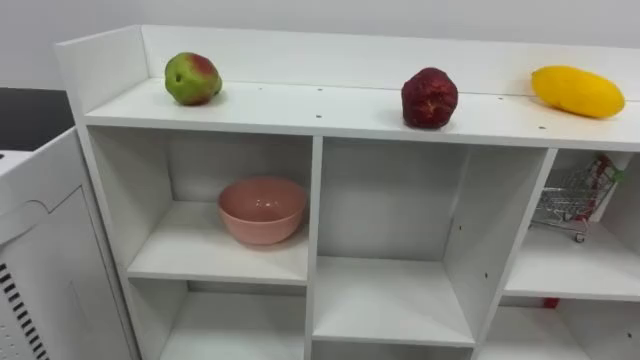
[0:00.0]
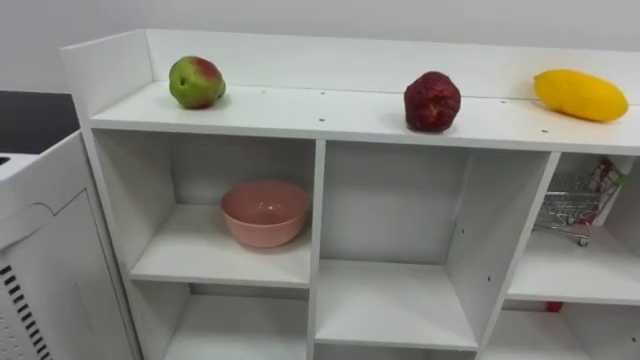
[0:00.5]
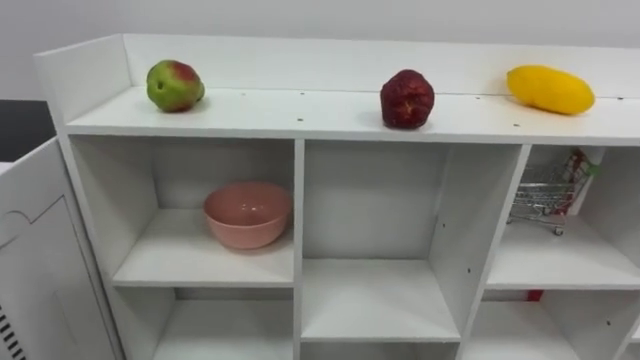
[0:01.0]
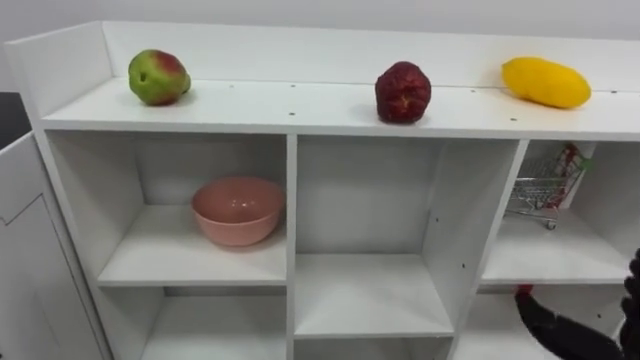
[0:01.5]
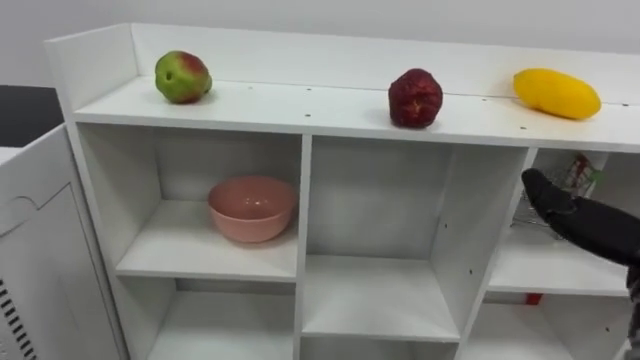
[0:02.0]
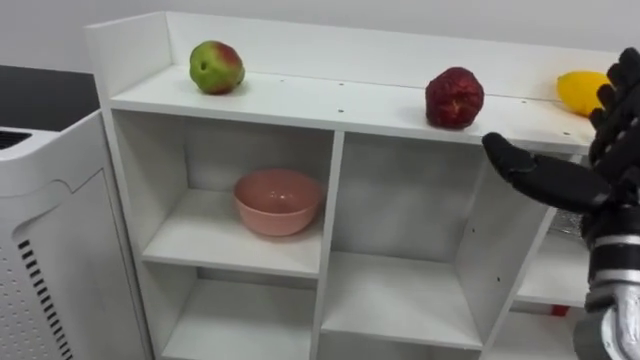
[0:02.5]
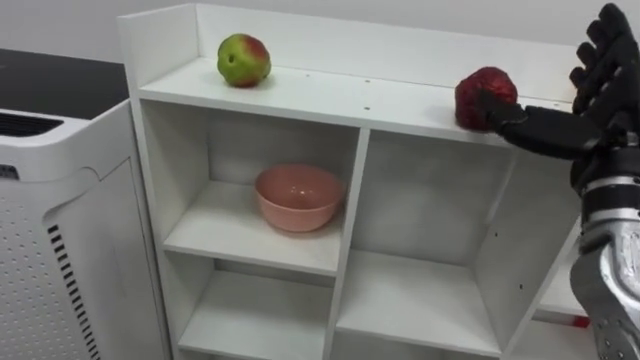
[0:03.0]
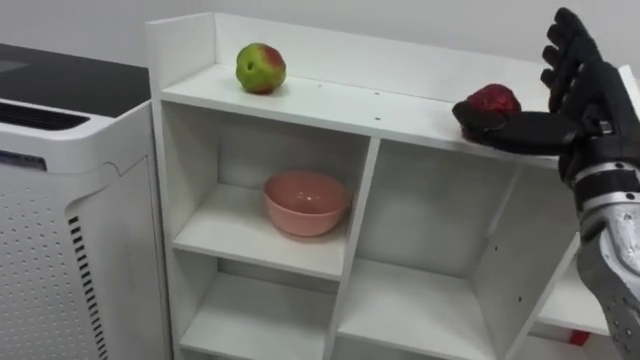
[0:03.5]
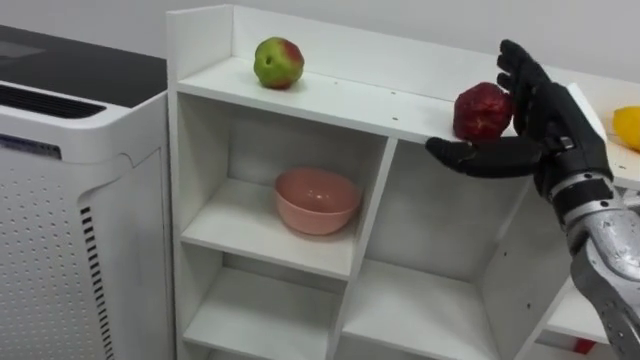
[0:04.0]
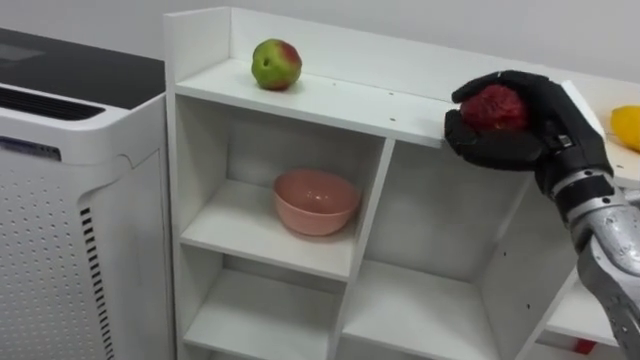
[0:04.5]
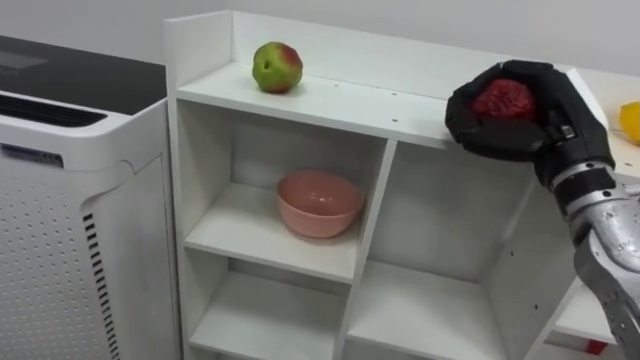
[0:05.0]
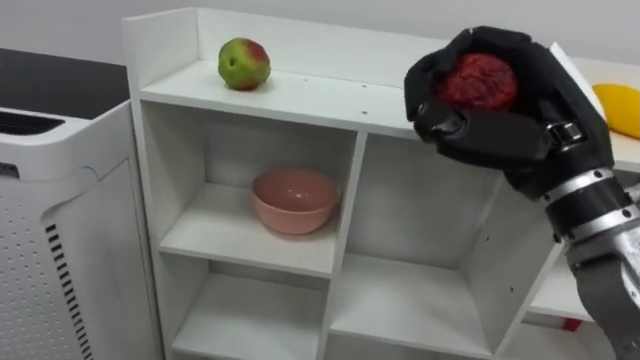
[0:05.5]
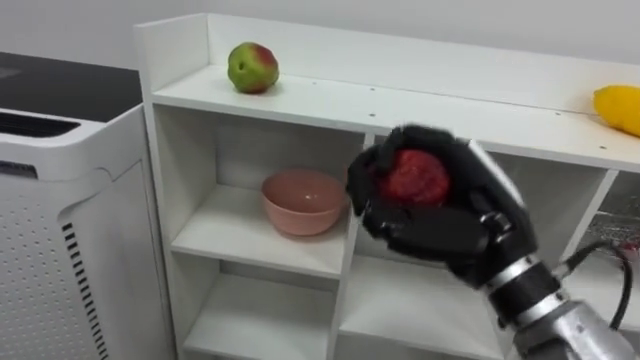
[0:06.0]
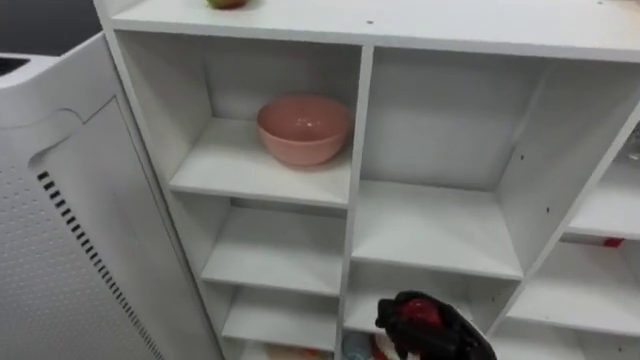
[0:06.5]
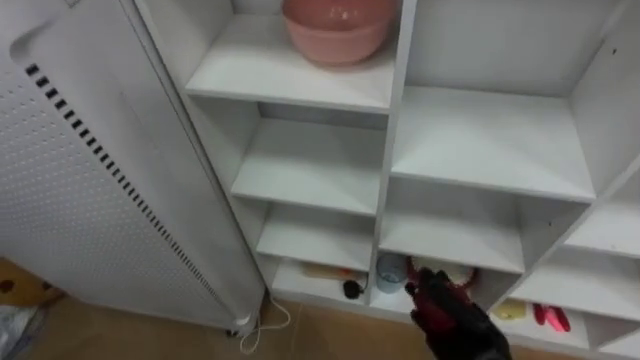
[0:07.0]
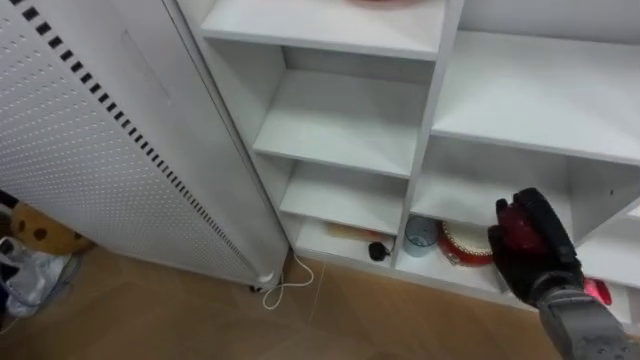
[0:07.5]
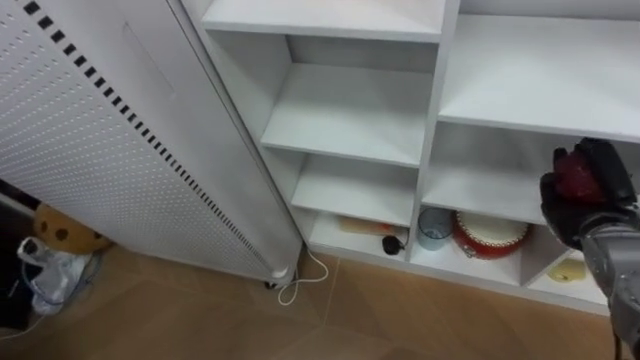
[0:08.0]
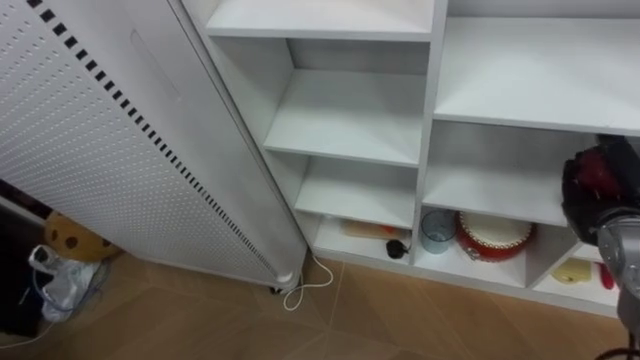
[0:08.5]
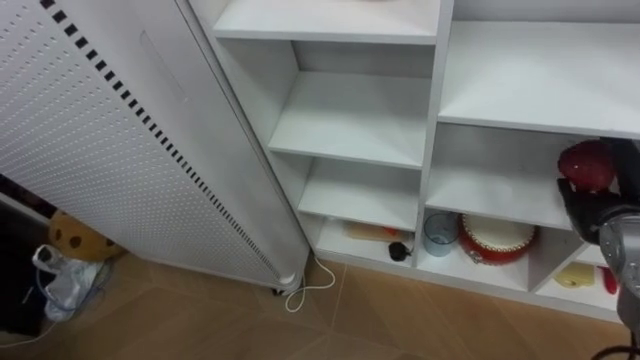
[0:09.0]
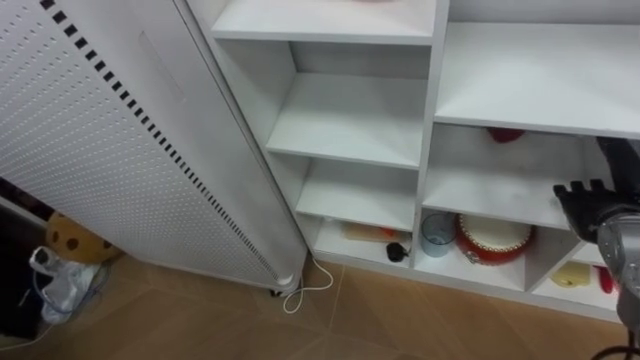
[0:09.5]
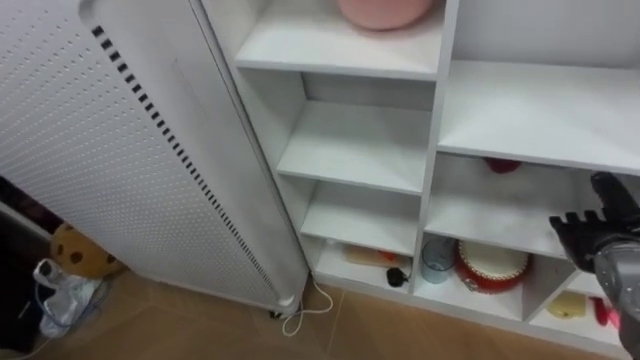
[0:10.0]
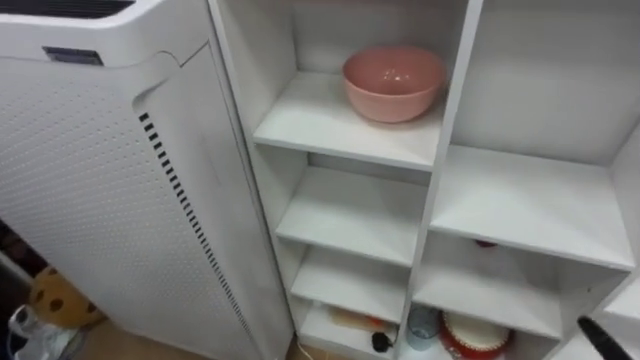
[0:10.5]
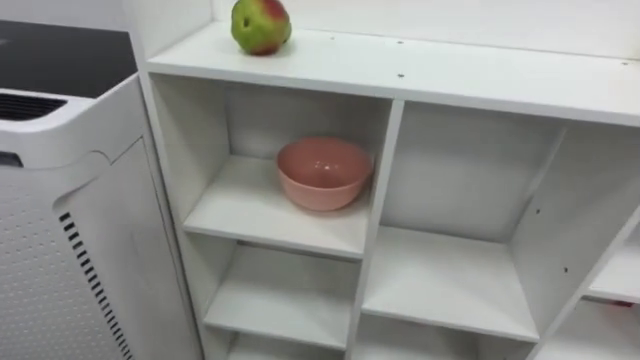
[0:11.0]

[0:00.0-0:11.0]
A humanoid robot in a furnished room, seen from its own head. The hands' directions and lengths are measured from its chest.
Task of the whole recording: Put the apple in the cell in the second column from the left and the second row from the top.
0:03.5 to 0:05.5: The right hand heads to the left and backward, covering about 10 cm, and closes.
0:05.5 to 0:07.5: The right hand travels downward by roughly 25 cm.
0:07.5 to 0:09.0: The right hand heads upward and to the right, covering approximately 10 cm, and opens.

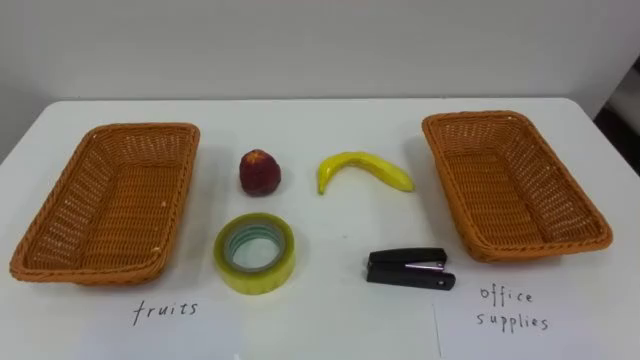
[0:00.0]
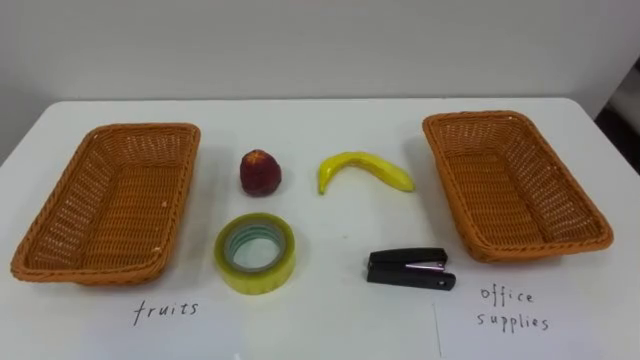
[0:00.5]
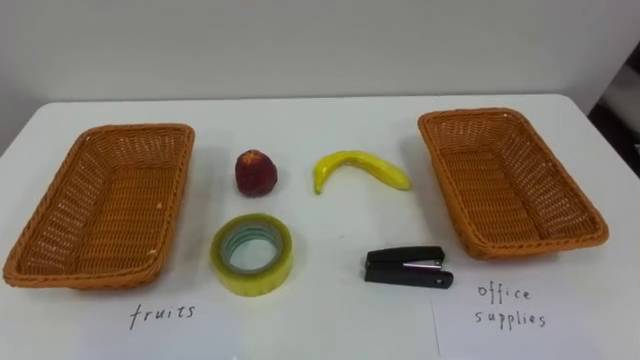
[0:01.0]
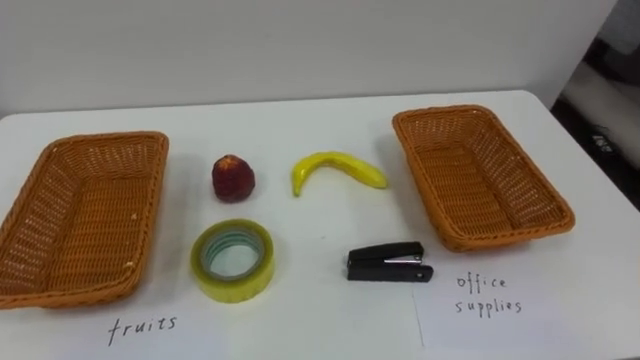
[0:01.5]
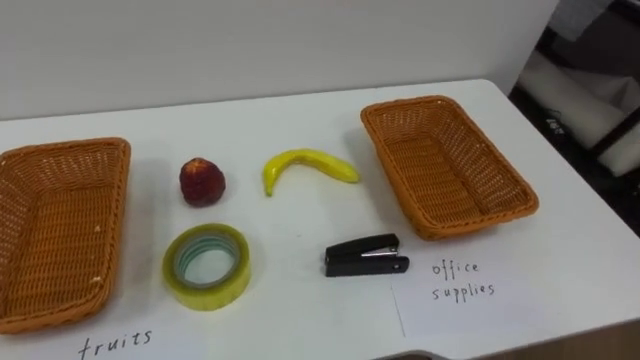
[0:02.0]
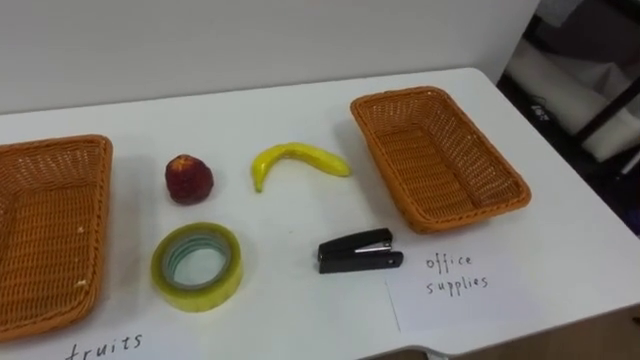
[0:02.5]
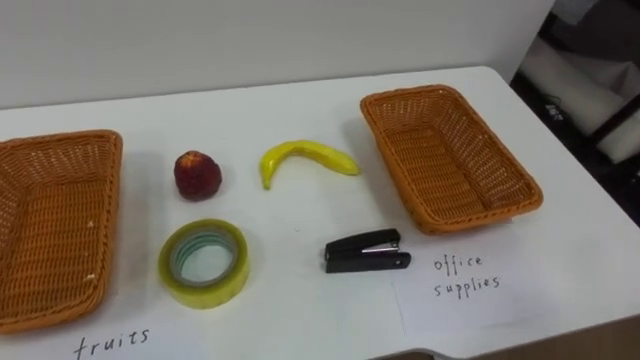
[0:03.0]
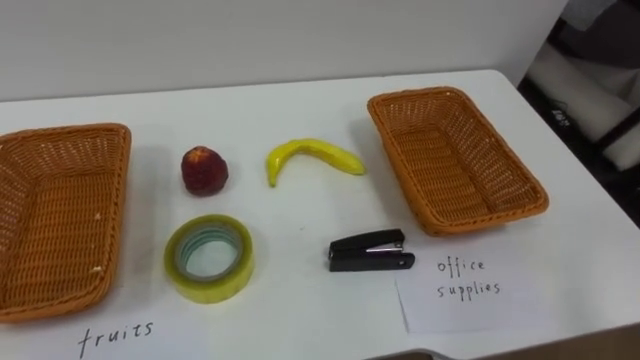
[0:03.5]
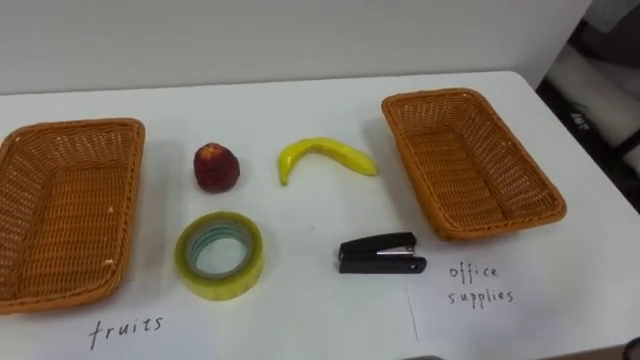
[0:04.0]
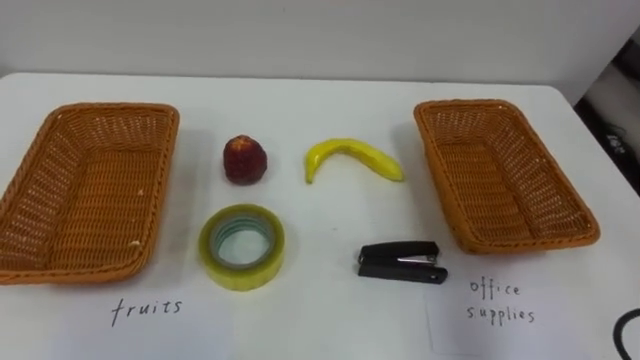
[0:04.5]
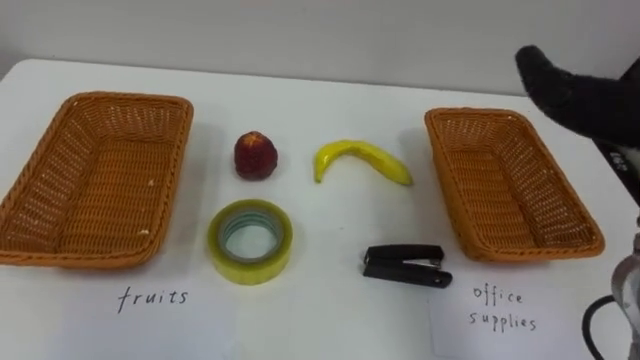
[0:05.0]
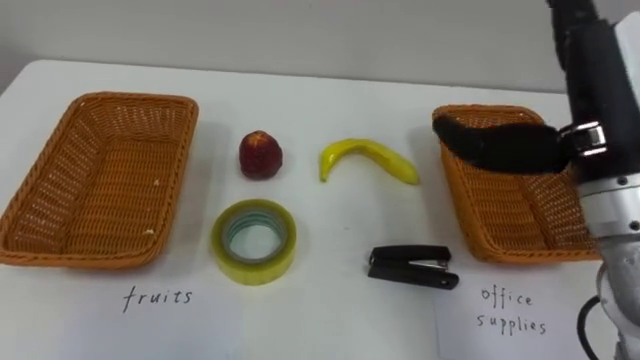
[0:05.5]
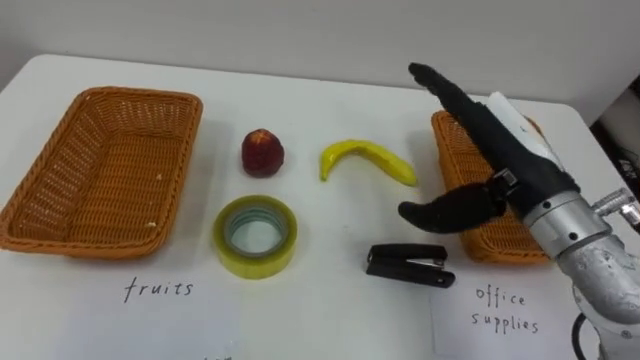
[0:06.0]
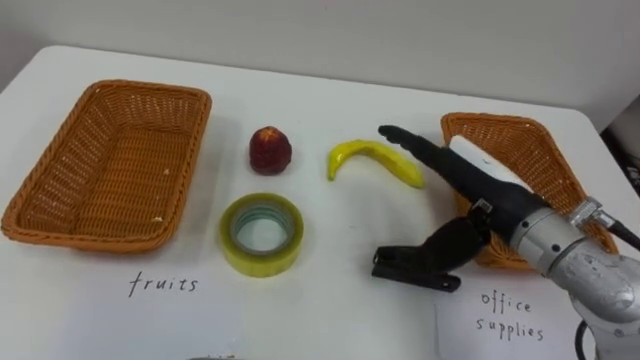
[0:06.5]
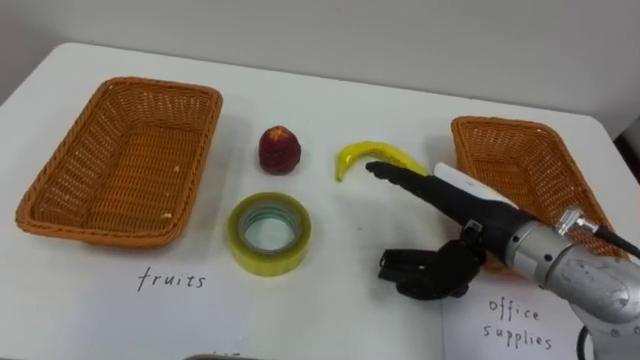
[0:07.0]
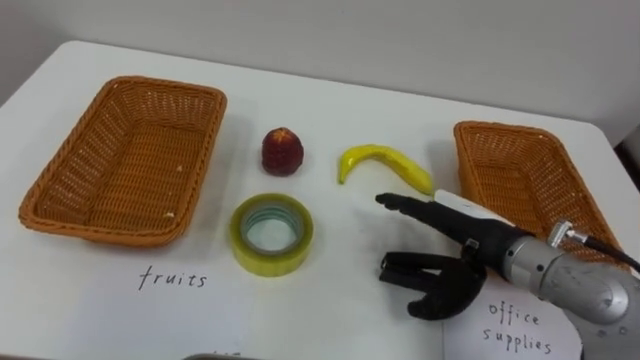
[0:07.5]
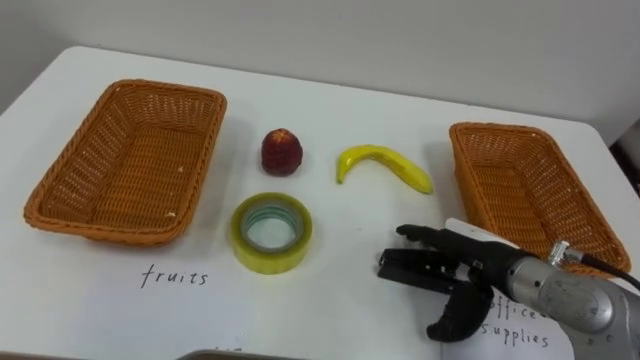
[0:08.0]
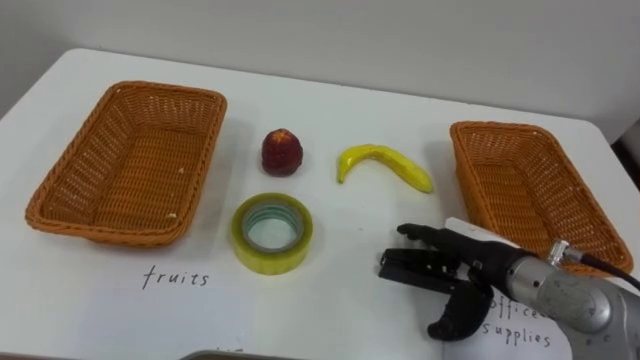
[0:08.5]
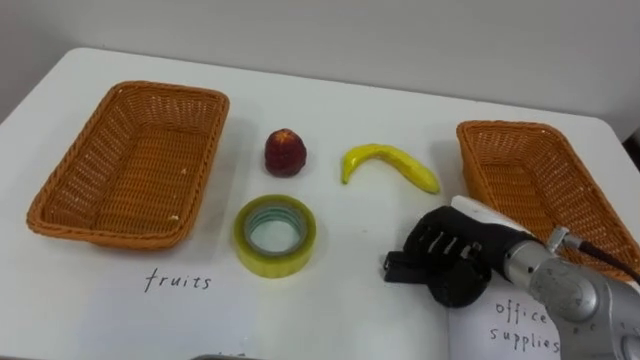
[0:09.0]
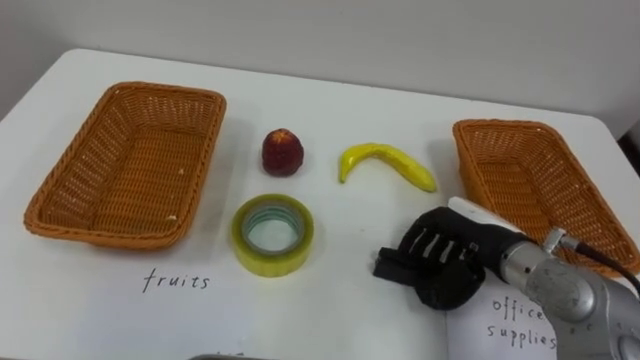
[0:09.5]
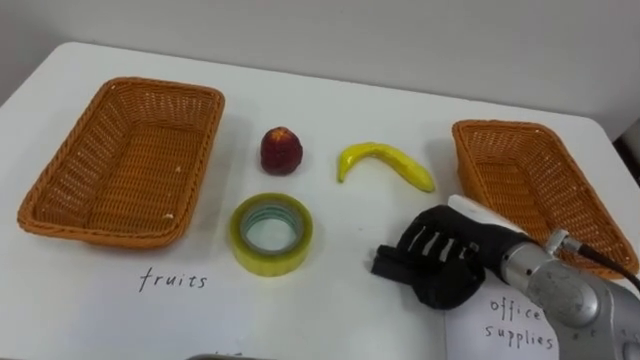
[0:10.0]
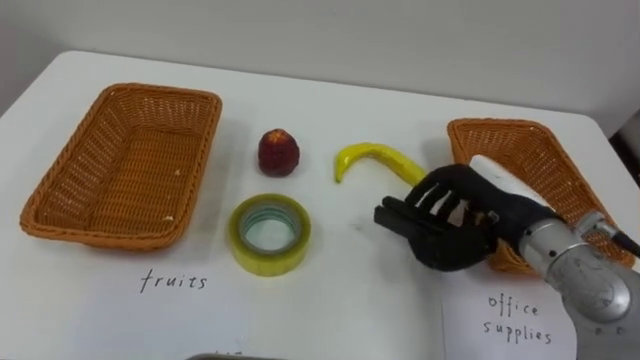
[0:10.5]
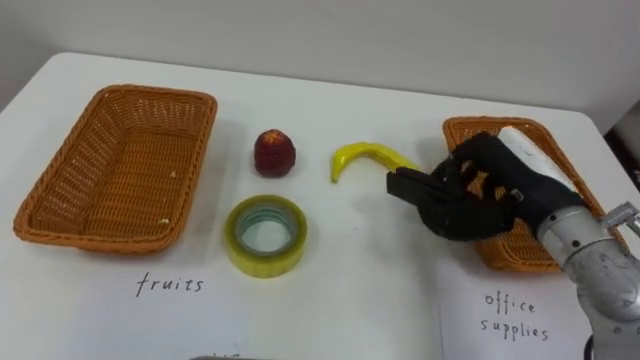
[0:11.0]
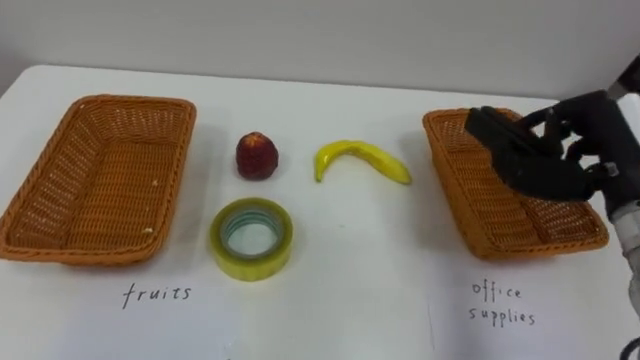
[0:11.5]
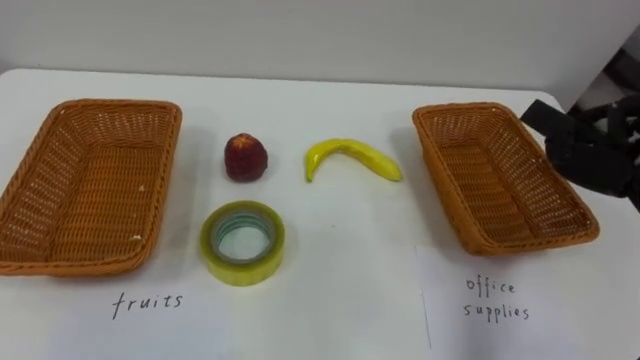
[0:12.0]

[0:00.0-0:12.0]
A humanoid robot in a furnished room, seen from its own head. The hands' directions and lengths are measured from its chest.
Task of the whole recording: Separate the items on the table and place them into the two baskets.
0:06.0 to 0:08.0: The right hand shifts approximately 15 cm downward.
0:08.0 to 0:10.0: The right hand closes its fingers.
